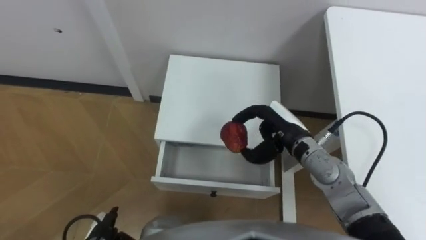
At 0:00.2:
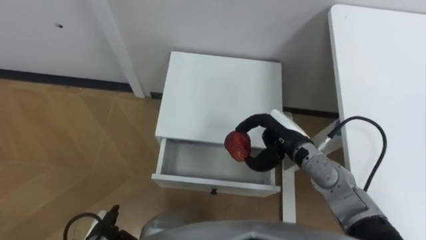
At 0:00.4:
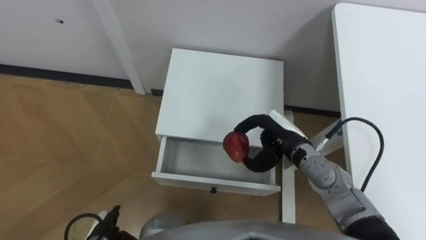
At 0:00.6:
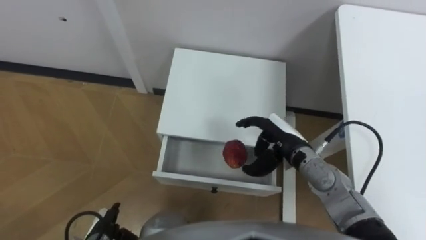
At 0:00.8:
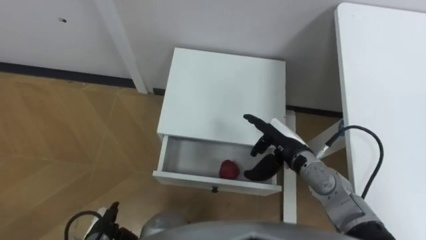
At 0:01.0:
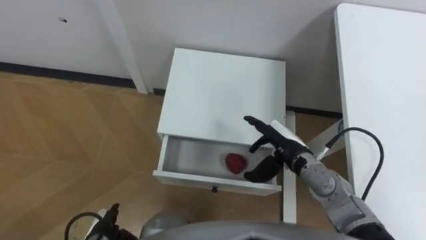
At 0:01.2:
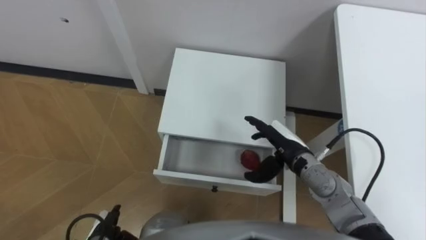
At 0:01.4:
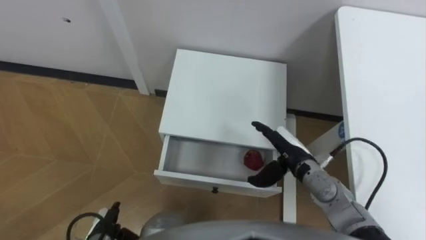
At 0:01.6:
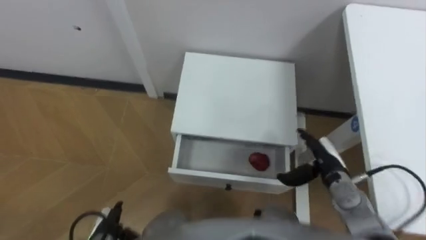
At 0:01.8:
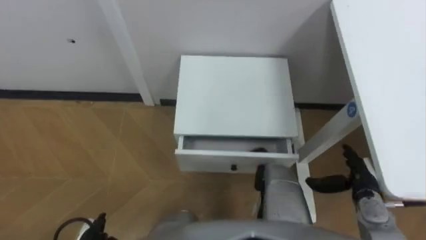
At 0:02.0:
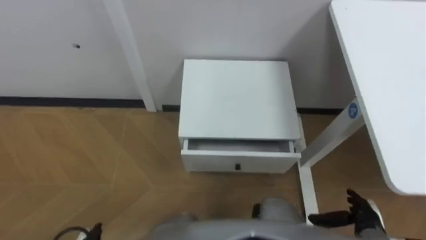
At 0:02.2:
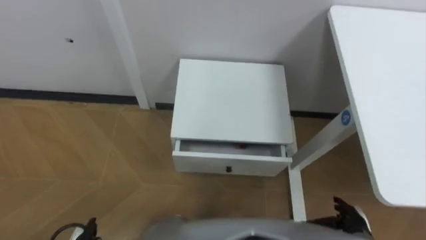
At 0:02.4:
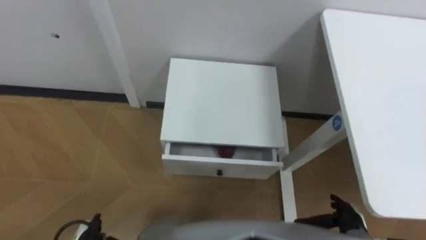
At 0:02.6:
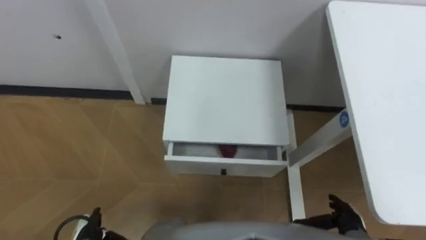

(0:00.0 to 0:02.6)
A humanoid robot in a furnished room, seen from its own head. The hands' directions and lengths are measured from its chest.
Task of the whole recording: Pick up the apple from the table, put it in the drawer, and close the drawer with leg.
0:00.0 - 0:01.2: The right hand opens its fingers.
0:01.2 - 0:02.6: The right hand heads backward, to the right and downward, covering roughly 25 cm.

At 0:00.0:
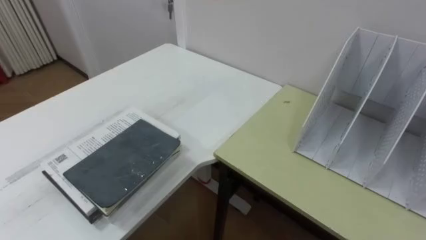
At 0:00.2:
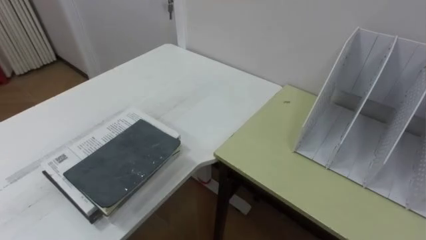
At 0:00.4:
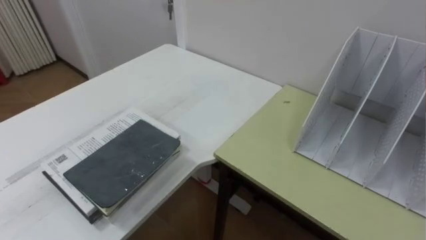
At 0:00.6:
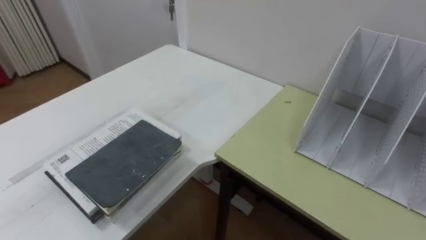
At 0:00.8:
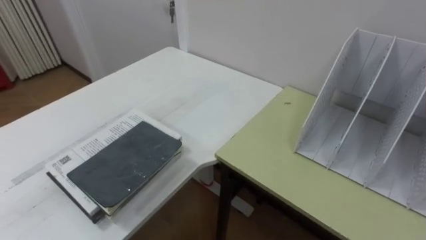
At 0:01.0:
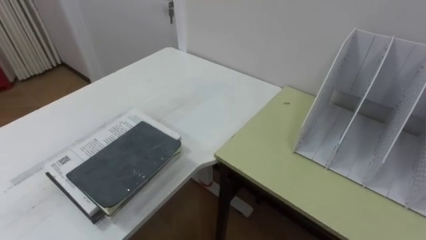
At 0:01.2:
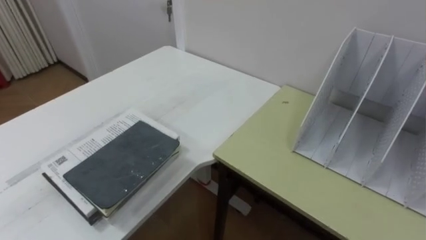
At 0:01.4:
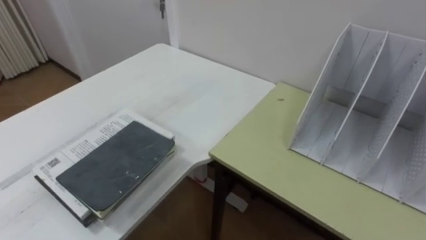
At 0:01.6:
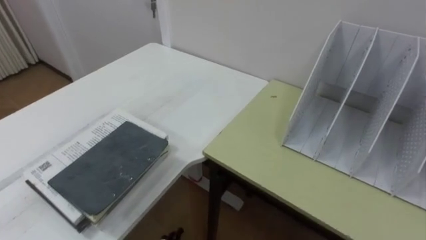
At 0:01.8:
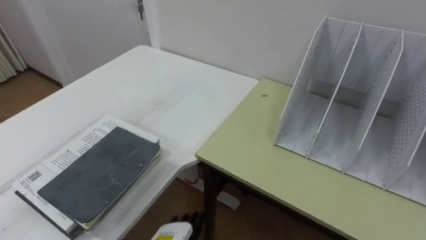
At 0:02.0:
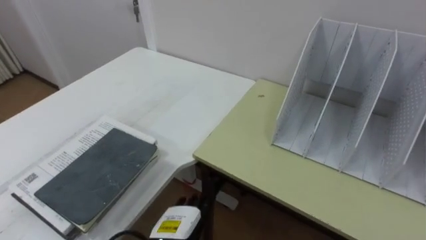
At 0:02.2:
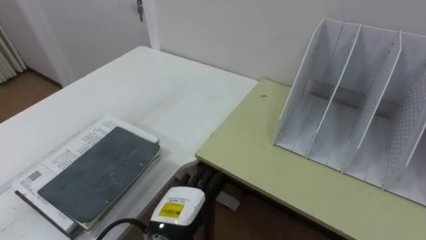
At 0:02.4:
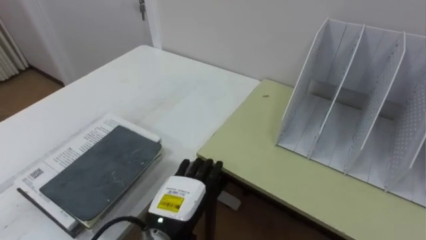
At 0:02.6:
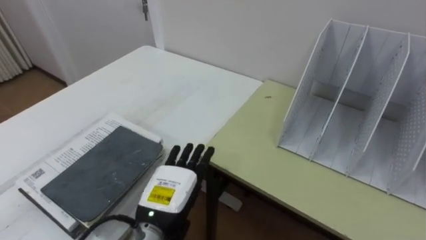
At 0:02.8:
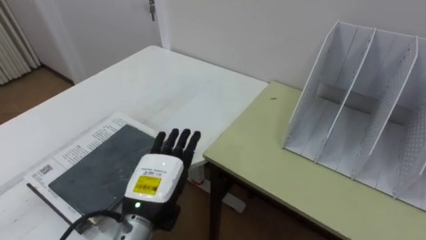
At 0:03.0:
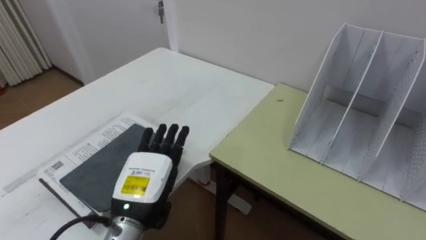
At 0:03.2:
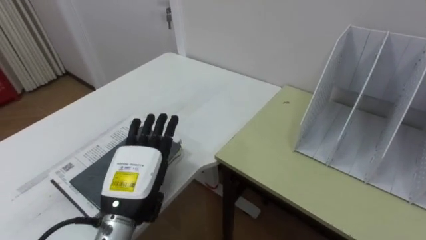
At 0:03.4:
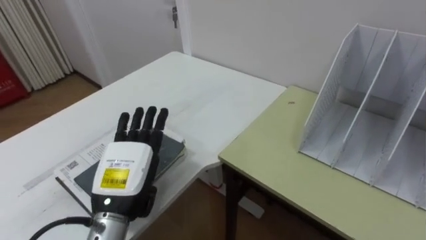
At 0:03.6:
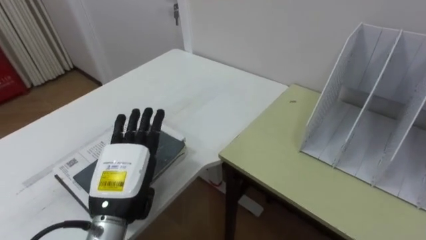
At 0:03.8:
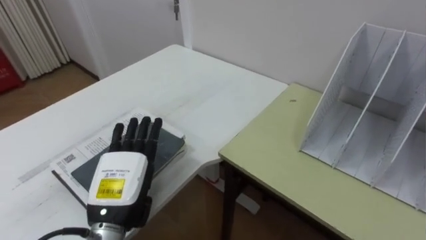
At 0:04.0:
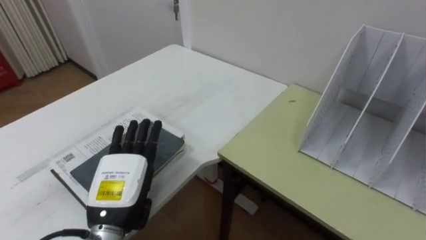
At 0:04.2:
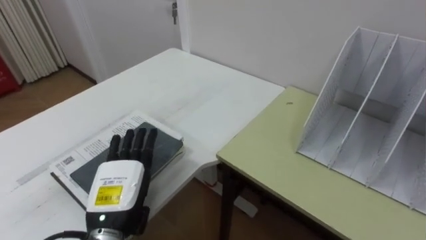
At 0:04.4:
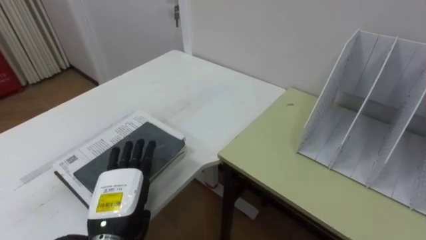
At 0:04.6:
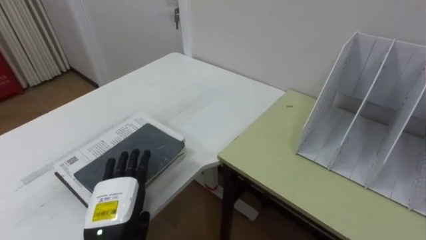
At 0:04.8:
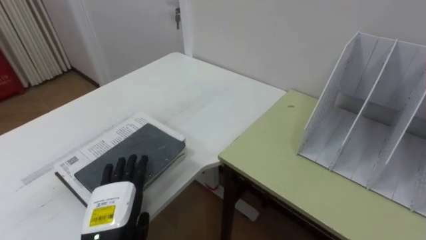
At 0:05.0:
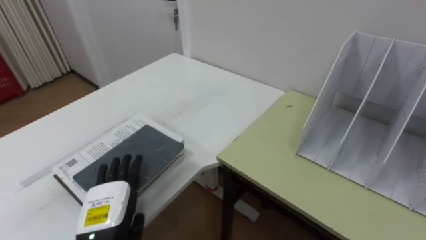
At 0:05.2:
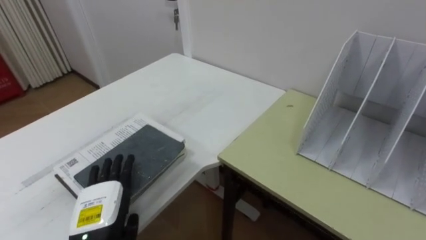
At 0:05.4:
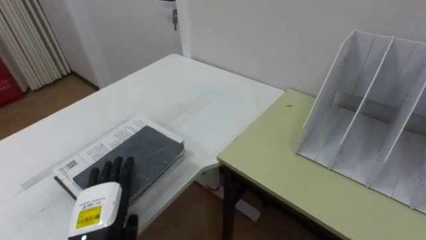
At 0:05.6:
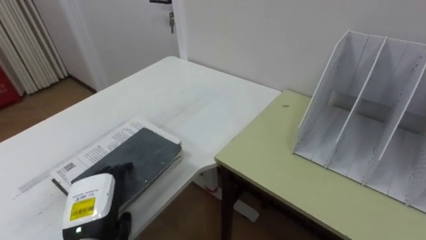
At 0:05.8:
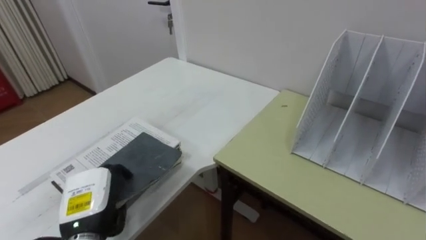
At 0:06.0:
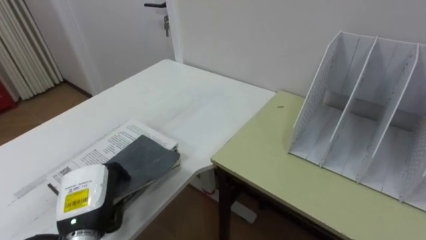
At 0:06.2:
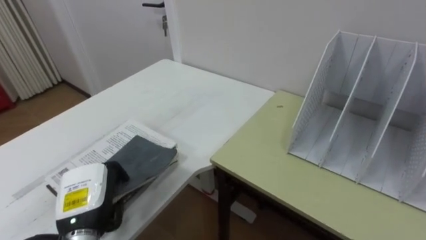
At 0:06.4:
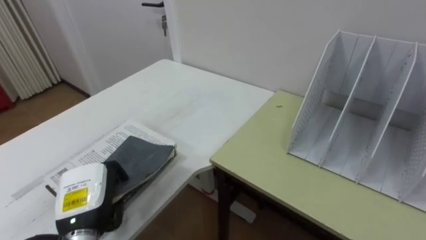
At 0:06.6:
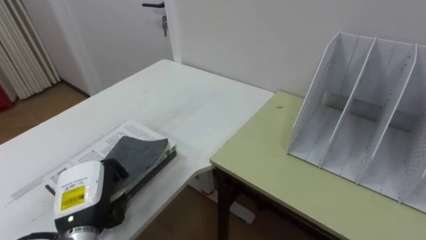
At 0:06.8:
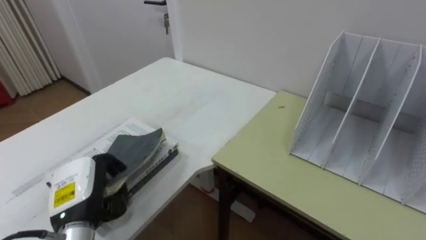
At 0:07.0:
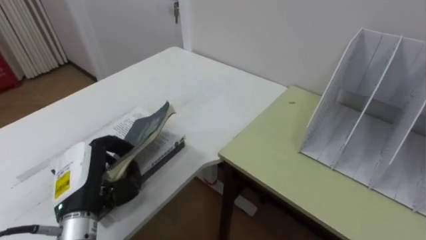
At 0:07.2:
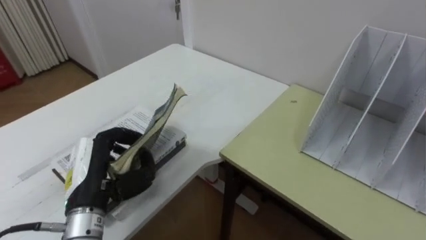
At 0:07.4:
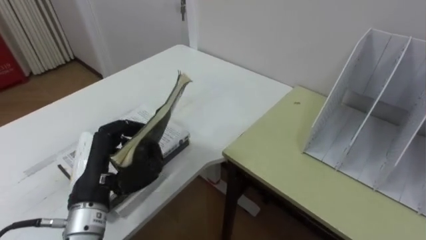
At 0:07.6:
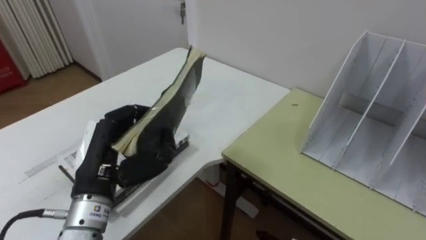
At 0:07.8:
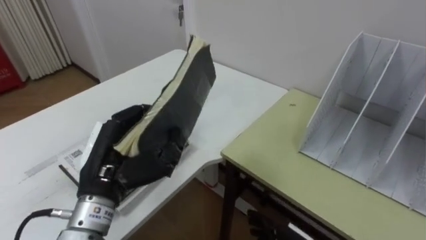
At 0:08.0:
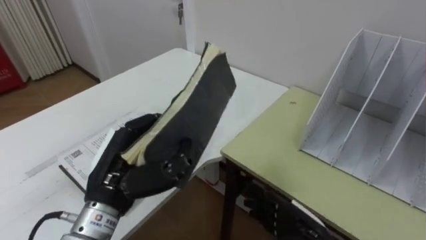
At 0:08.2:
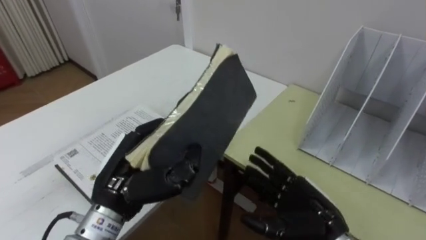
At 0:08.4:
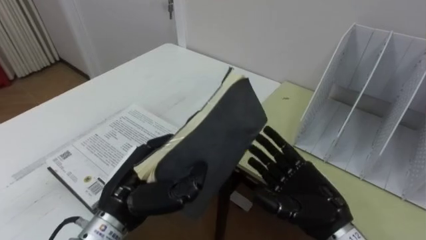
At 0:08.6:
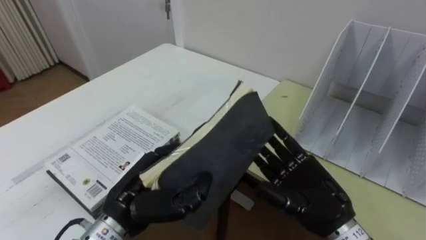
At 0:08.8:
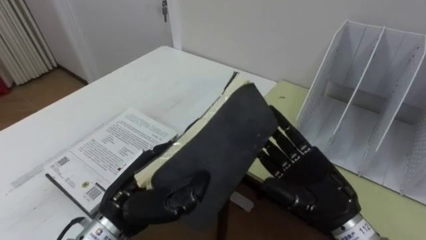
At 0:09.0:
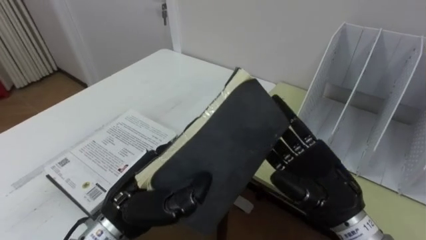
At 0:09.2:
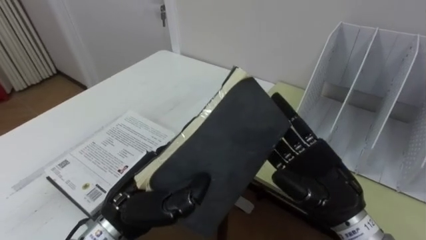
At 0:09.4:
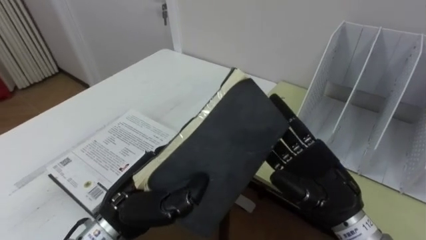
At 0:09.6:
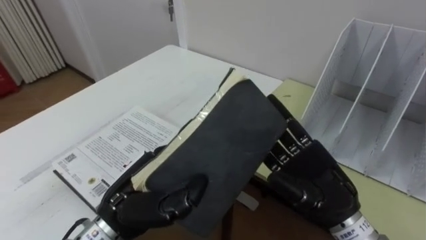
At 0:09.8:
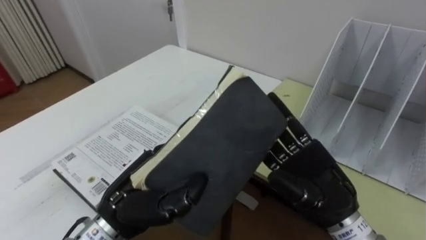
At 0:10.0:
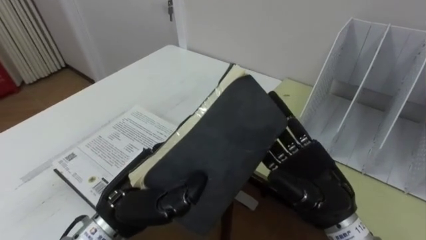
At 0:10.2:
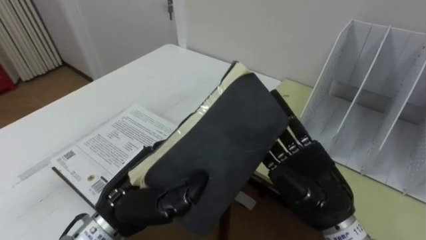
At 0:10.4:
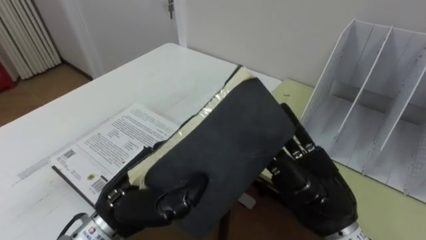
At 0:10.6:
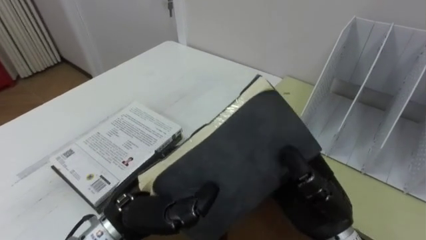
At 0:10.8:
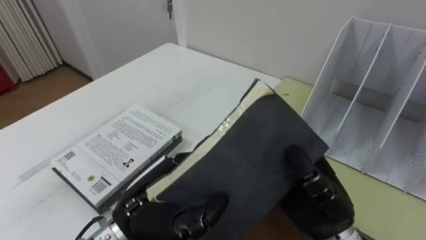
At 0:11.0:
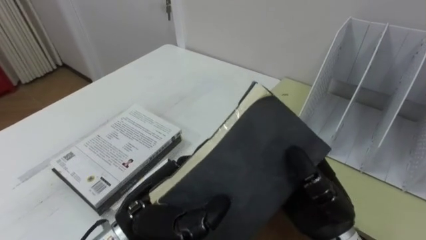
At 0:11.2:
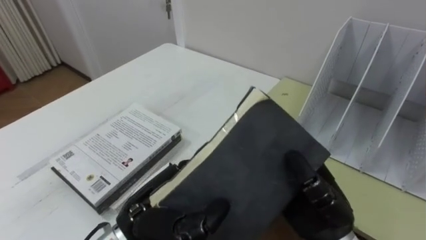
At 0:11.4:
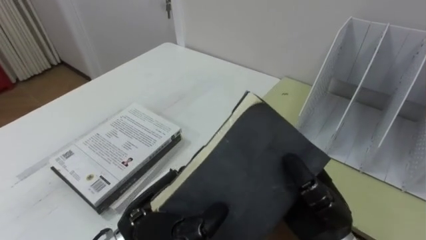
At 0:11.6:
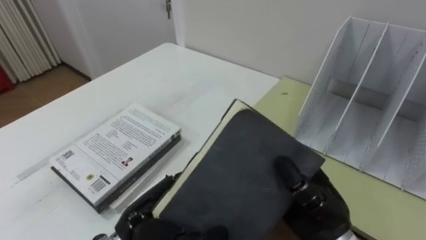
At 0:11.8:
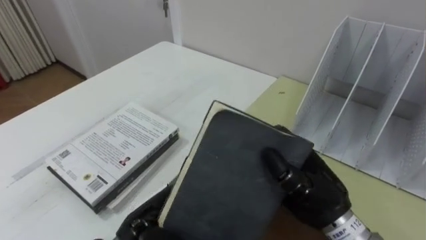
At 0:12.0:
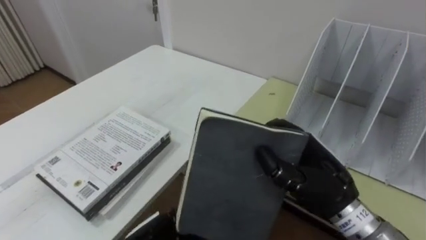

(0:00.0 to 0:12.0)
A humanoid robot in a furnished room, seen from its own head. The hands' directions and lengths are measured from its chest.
Task of the whole recording: Put the books on the table onto the bookshelf.
0:03.0 - 0:04.4: The left hand ends up about 5 cm from where it was.
0:04.4 - 0:06.0: The left hand shifts approximately 5 cm to the left, and closes up.
0:06.0 - 0:07.6: The left hand moves upward, about 10 cm.
0:07.6 - 0:09.0: The left hand moves to the right, approximately 5 cm.
0:10.4 - 0:12.0: The left hand goes about 10 cm downward, and opens up. The right hand closes.

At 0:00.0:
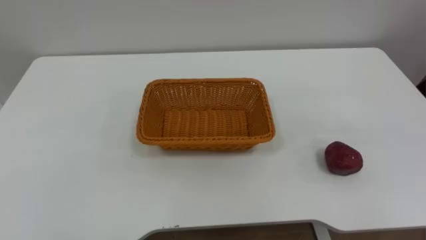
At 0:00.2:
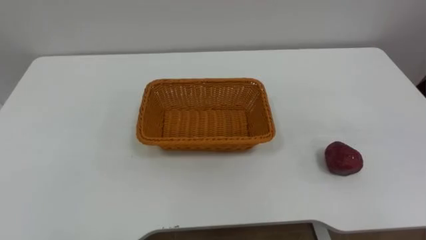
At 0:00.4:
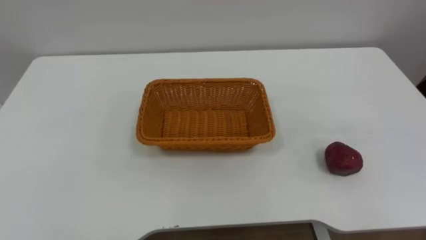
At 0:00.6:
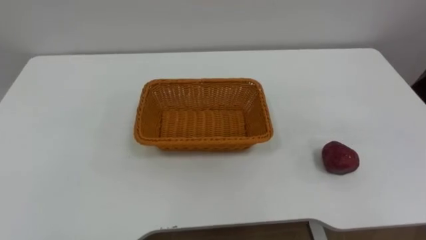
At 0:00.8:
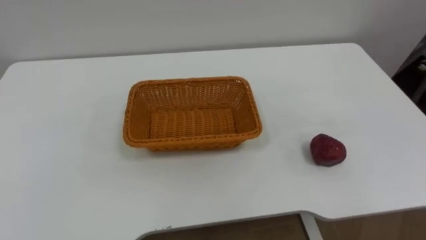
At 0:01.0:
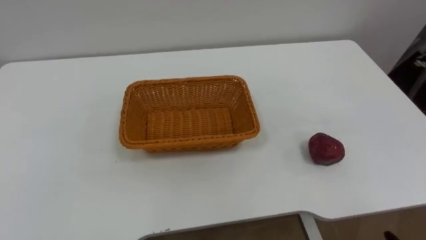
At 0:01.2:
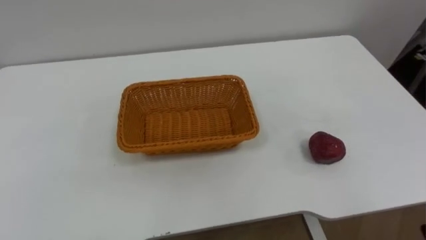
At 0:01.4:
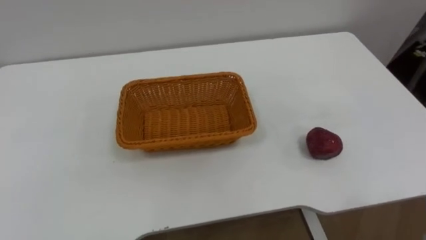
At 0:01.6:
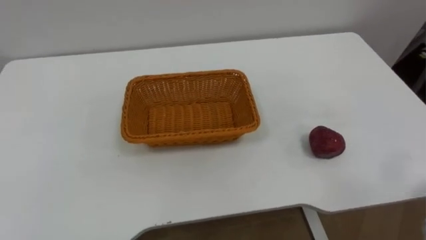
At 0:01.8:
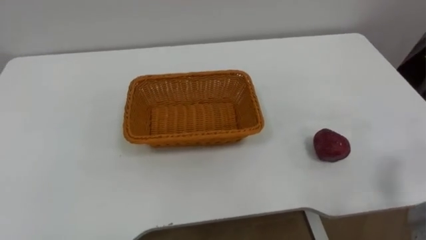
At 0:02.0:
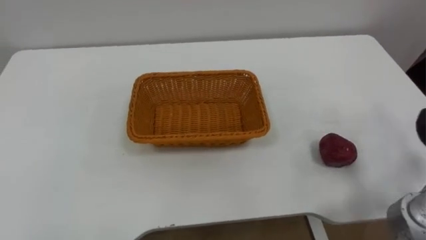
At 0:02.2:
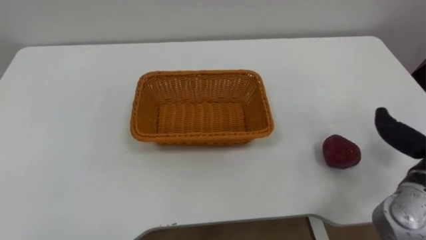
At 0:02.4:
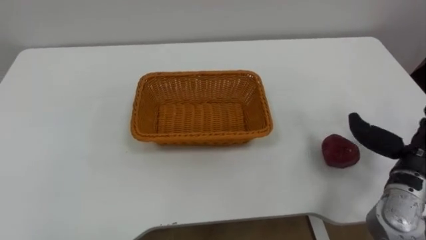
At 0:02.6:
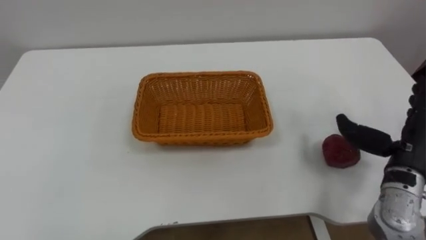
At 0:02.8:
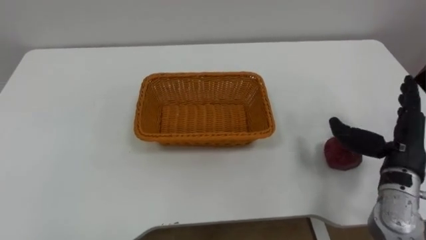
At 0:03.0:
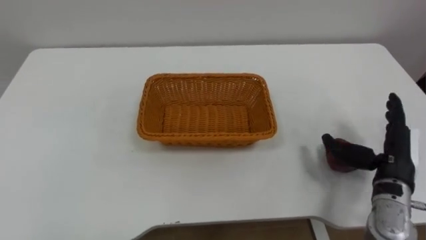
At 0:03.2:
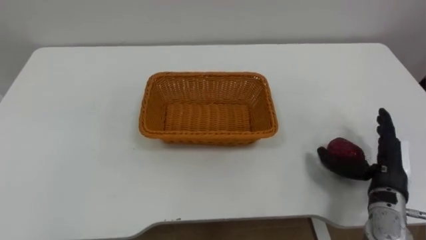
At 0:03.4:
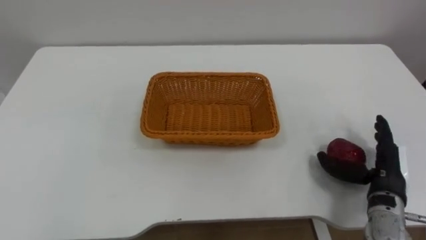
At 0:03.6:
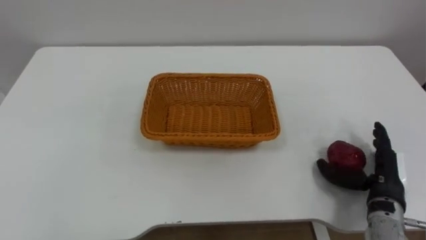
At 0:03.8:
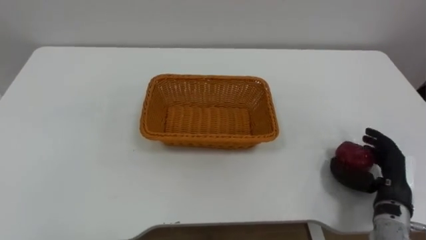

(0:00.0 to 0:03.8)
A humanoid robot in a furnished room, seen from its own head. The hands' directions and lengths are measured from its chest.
Task of the whole recording: Pick the apple and place it in the box.
0:02.6 - 0:03.8: The right hand heads downward, covering some 10 cm.
